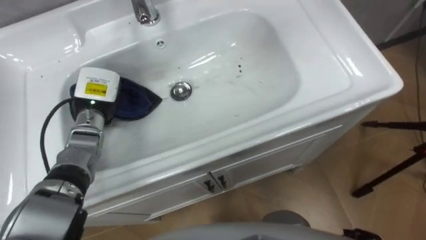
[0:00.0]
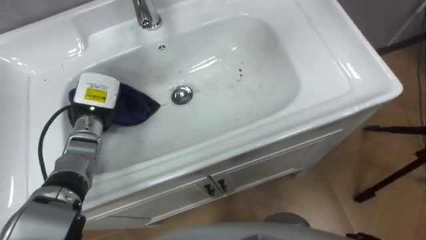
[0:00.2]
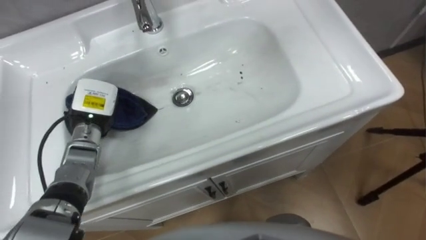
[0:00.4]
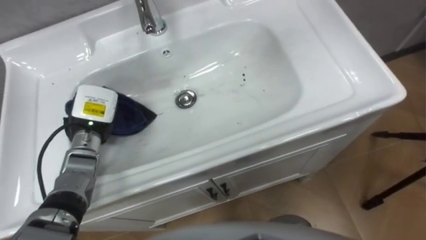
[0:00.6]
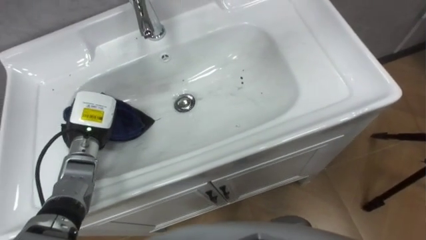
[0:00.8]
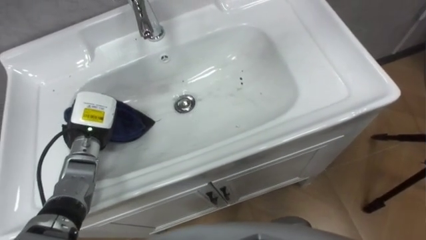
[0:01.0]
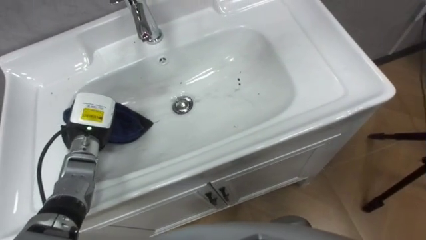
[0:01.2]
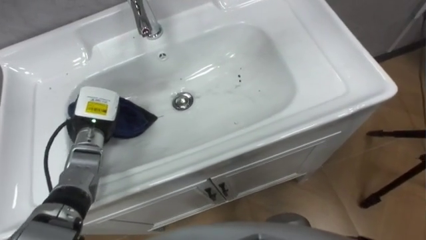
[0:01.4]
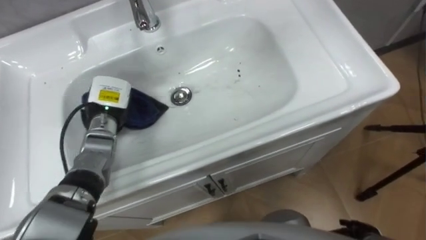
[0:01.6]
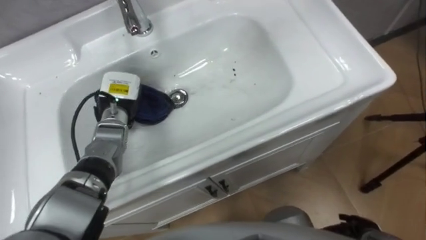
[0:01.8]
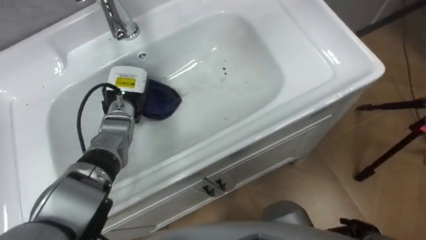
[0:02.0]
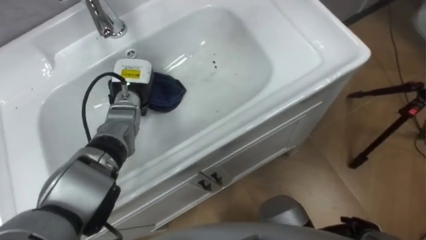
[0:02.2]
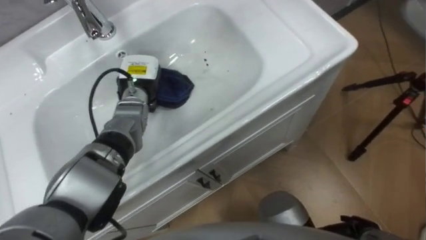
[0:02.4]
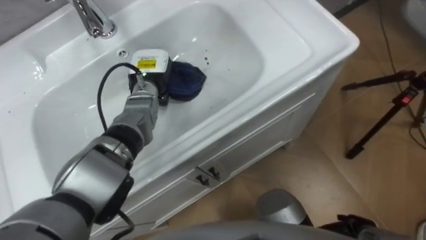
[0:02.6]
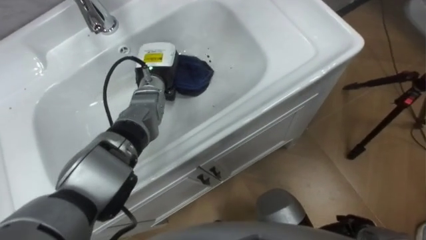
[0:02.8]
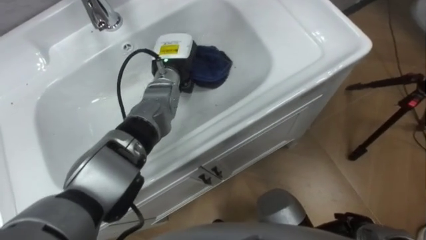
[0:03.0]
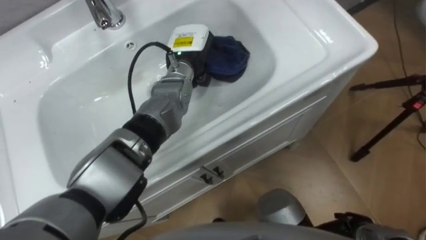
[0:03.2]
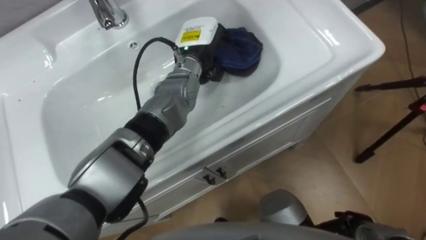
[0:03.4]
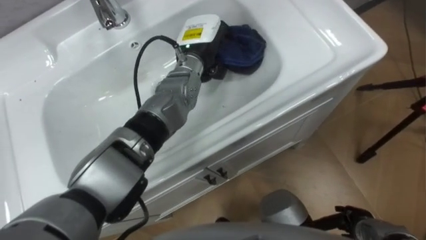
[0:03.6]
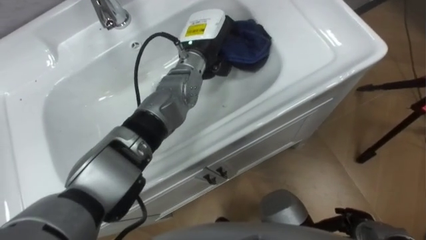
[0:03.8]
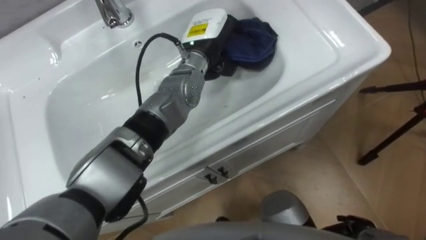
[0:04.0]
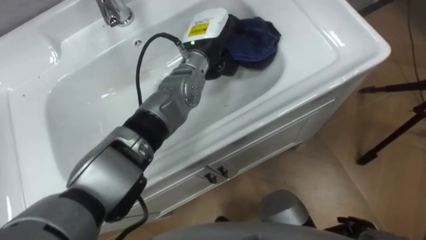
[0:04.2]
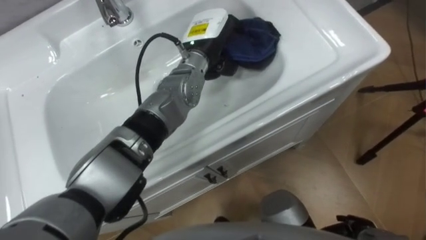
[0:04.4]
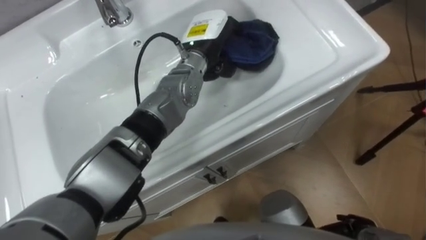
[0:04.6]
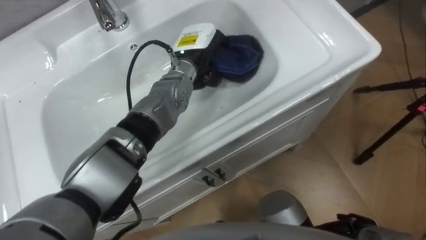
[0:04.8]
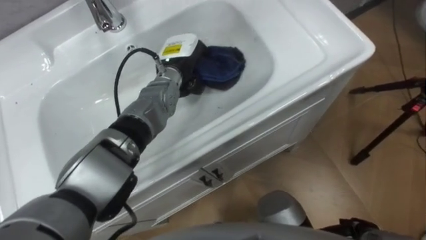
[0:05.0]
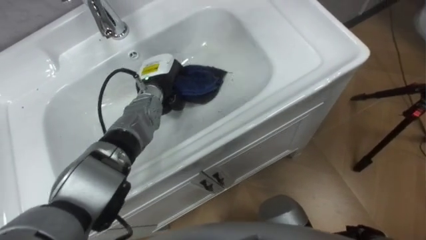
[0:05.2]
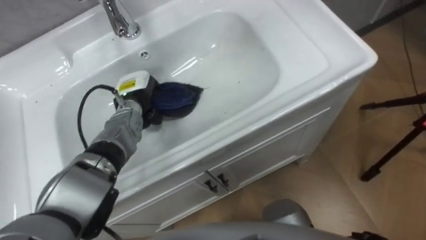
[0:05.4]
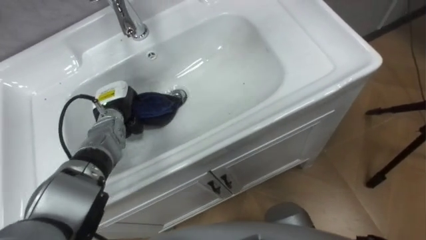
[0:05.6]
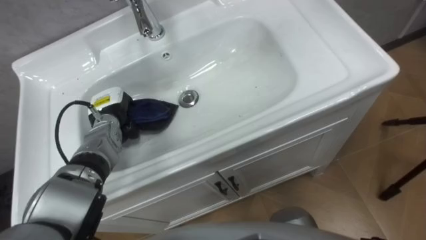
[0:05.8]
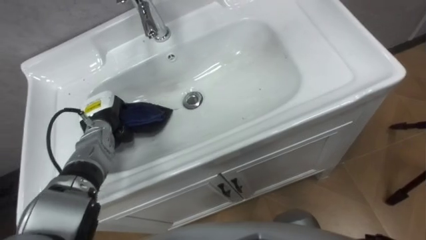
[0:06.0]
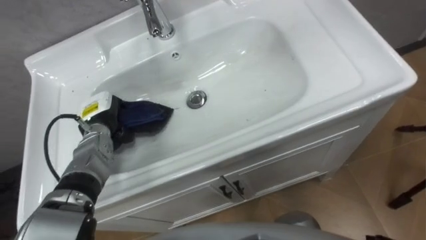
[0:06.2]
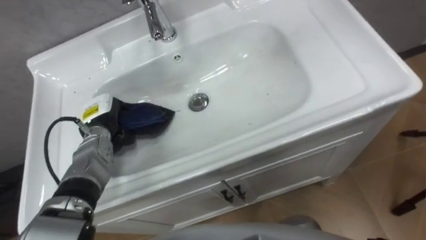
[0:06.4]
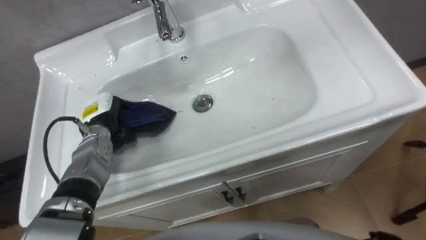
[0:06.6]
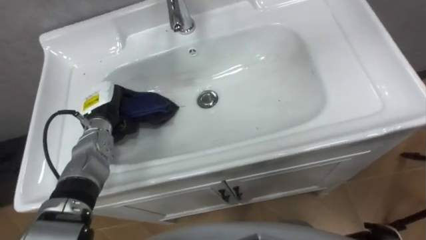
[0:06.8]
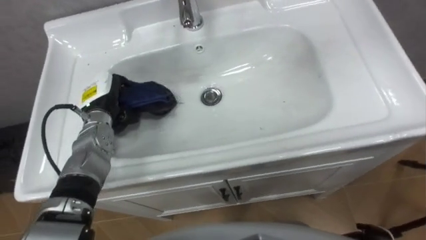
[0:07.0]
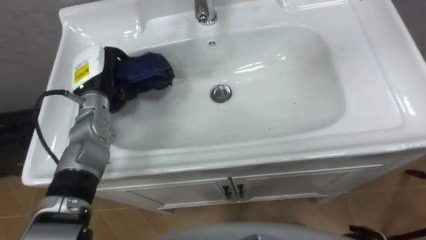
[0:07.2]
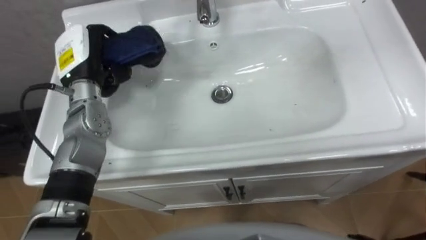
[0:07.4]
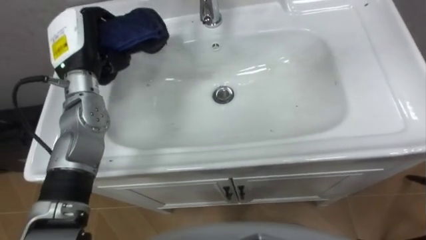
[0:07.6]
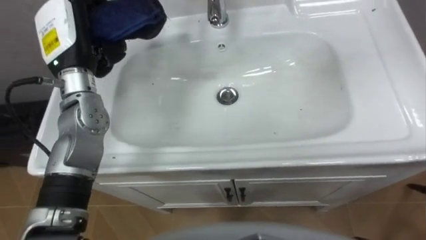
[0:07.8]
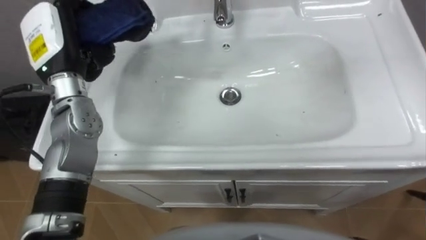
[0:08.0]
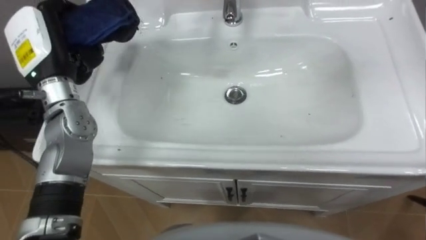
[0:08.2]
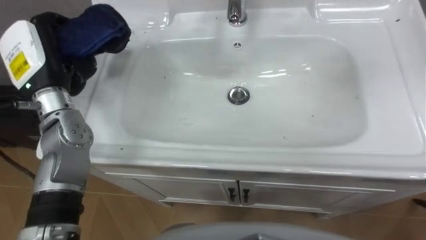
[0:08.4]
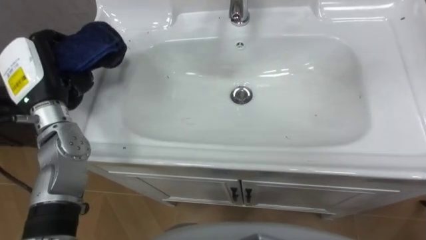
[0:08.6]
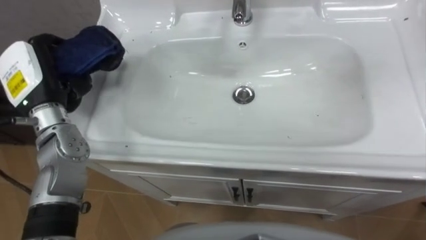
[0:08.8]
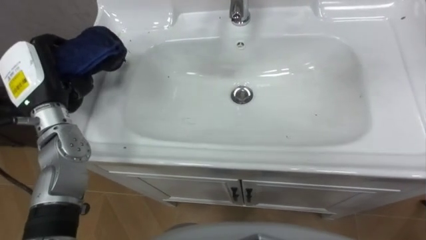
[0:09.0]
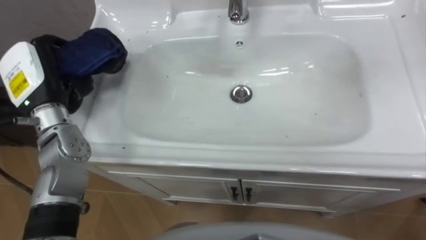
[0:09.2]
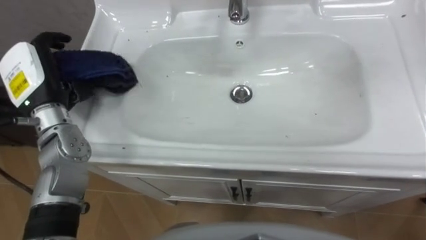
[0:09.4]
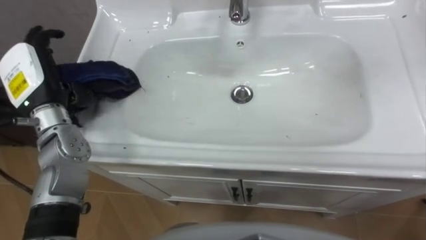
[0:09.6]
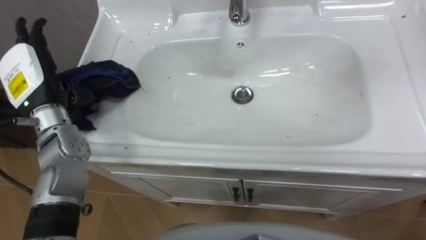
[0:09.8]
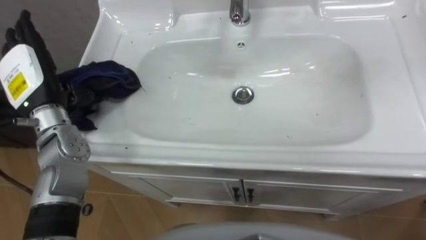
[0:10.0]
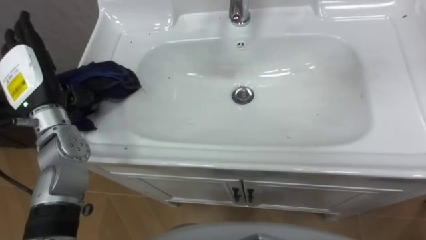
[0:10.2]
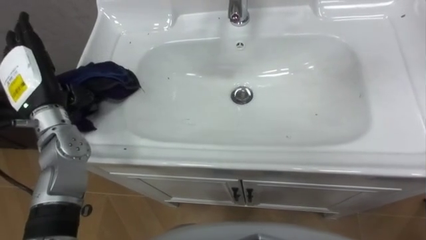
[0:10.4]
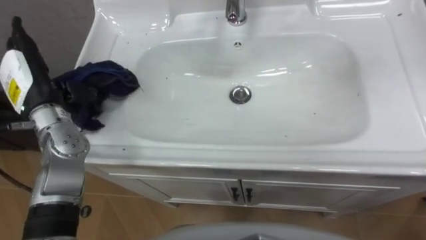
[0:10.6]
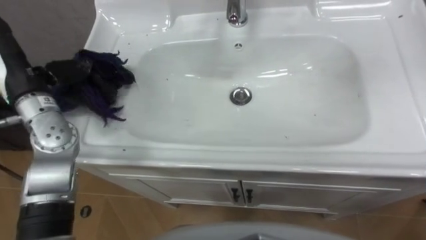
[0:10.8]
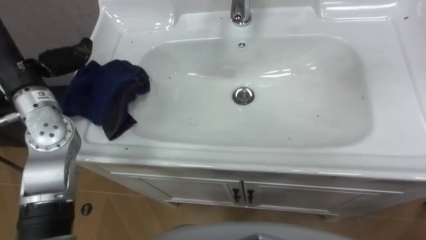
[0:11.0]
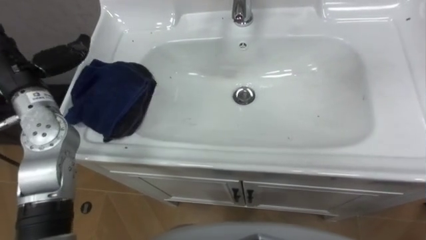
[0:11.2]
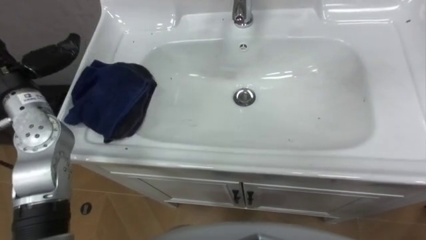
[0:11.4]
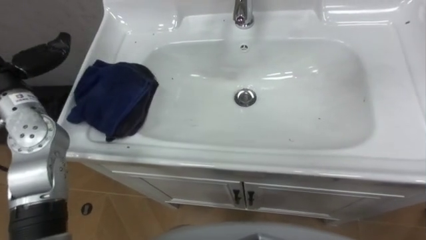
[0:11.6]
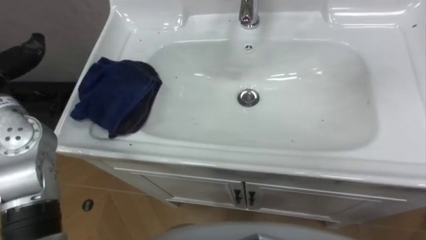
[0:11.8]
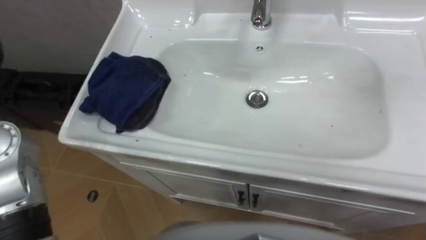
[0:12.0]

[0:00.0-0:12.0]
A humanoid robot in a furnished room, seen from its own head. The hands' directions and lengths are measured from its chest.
Task of the whole recording: Use the cloth on the right to wipe away the black stain in the sink.
0:01.6 to 0:03.0: The left hand is displaced to the right and forward by about 15 cm.
0:03.0 to 0:04.4: The left hand is displaced to the right and upward by roughly 10 cm.
0:04.4 to 0:06.0: The left hand travels to the left and downward by about 30 cm.
0:06.0 to 0:07.6: The left hand travels upward by some 20 cm.
0:07.6 to 0:09.0: The left hand shifts some 10 cm to the left and backward.
0:09.0 to 0:10.4: The left hand opens.

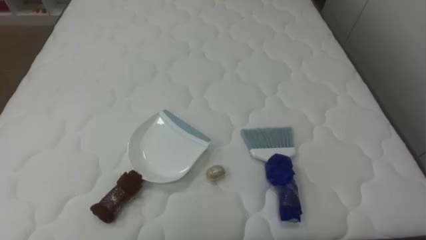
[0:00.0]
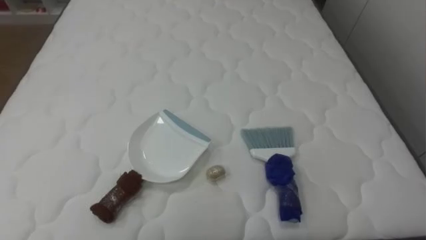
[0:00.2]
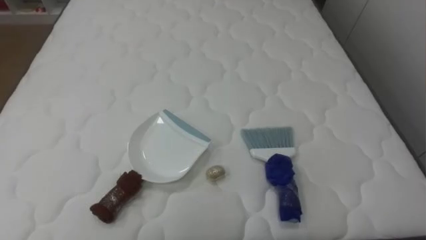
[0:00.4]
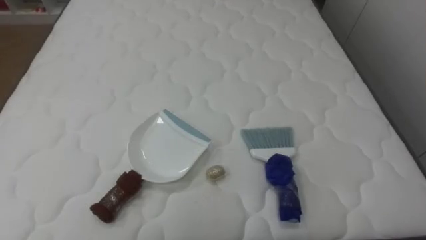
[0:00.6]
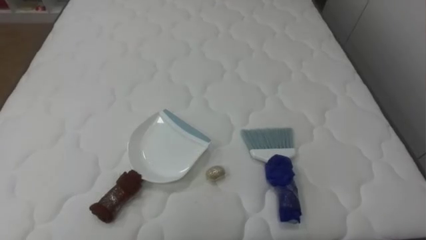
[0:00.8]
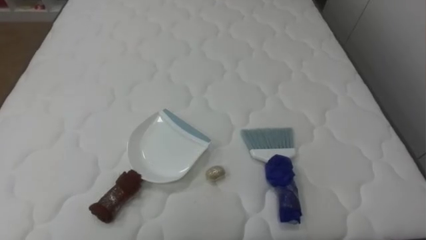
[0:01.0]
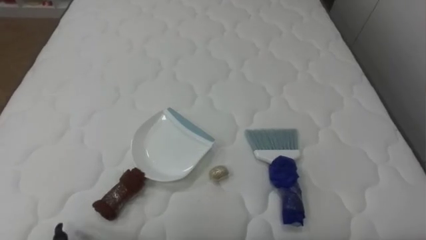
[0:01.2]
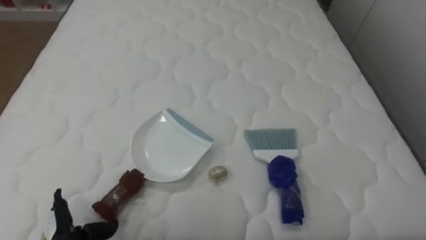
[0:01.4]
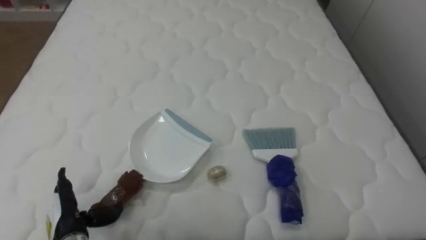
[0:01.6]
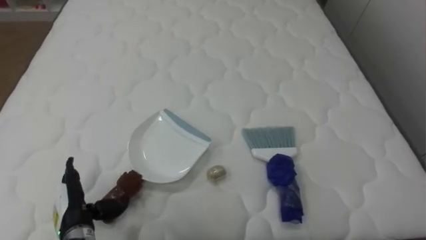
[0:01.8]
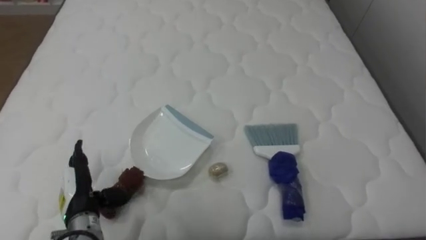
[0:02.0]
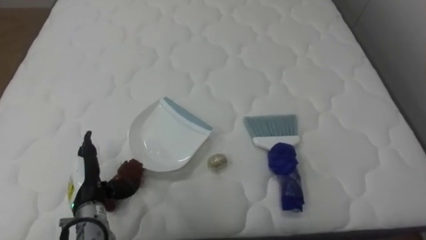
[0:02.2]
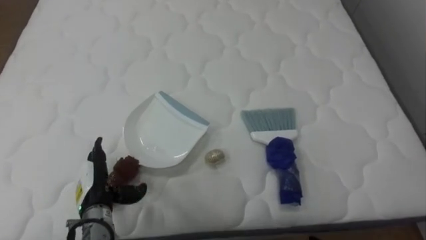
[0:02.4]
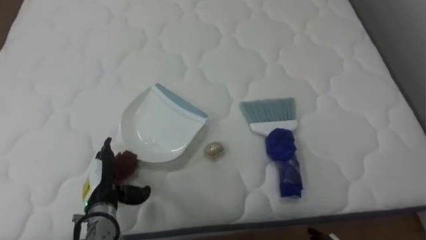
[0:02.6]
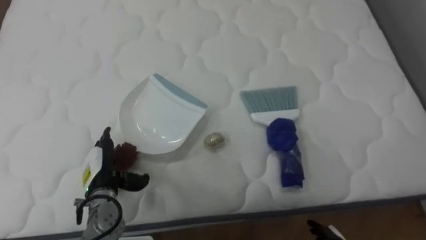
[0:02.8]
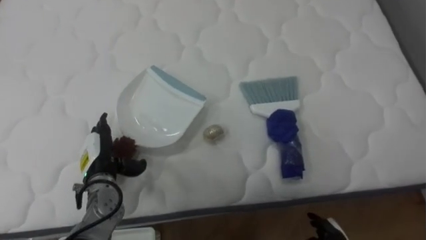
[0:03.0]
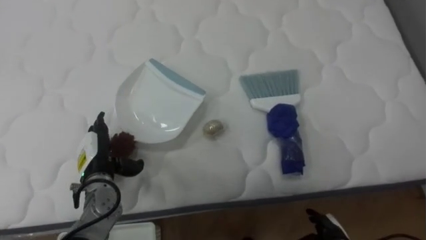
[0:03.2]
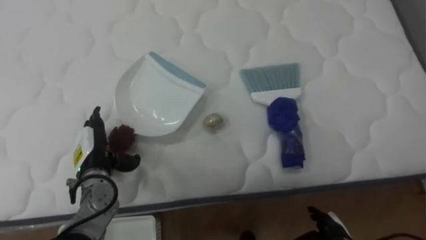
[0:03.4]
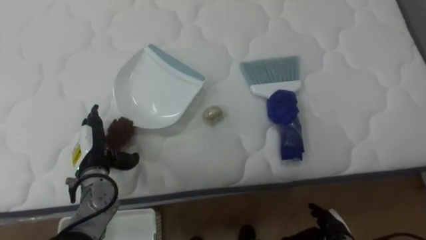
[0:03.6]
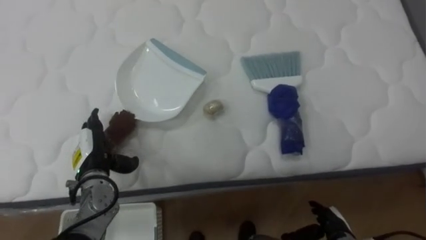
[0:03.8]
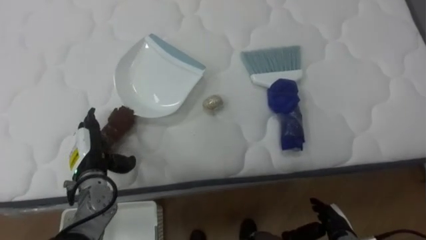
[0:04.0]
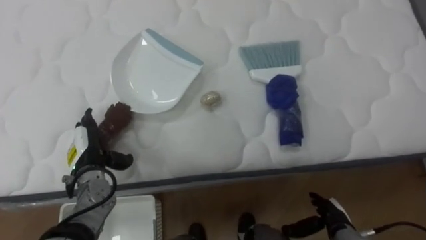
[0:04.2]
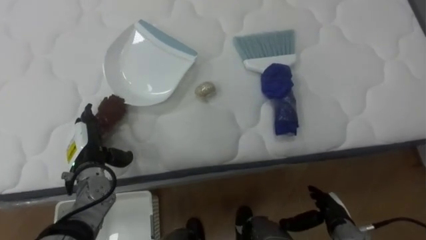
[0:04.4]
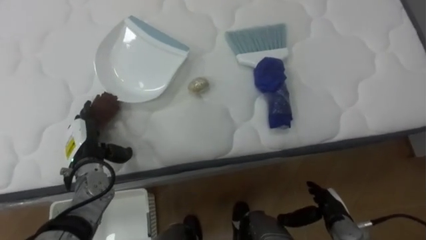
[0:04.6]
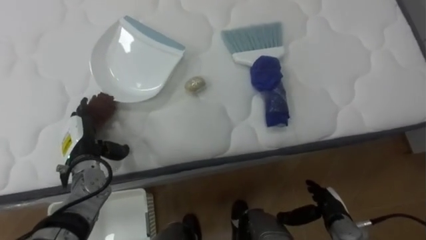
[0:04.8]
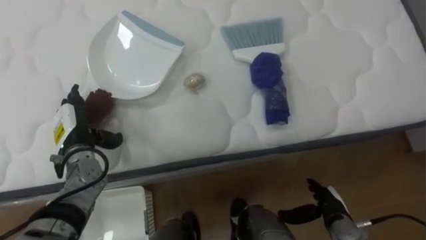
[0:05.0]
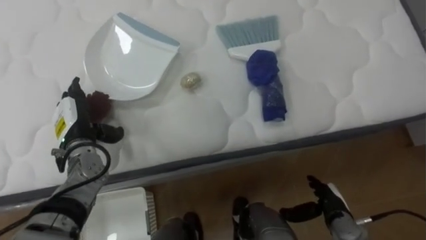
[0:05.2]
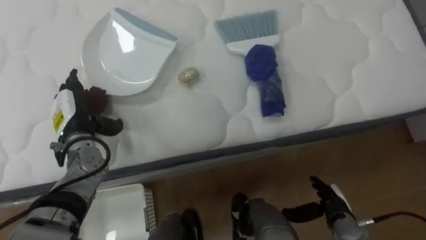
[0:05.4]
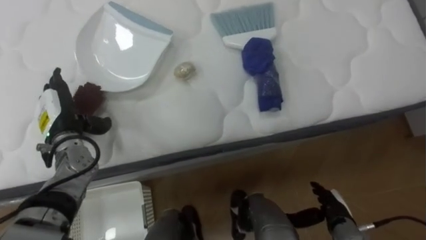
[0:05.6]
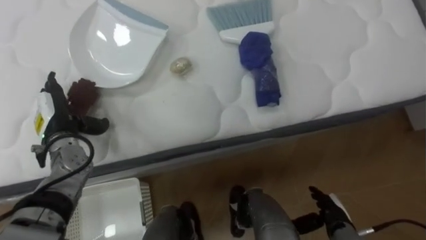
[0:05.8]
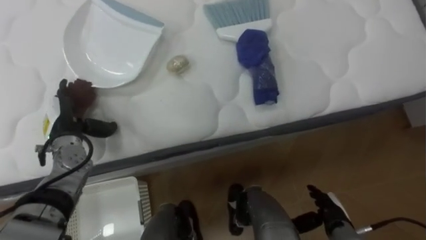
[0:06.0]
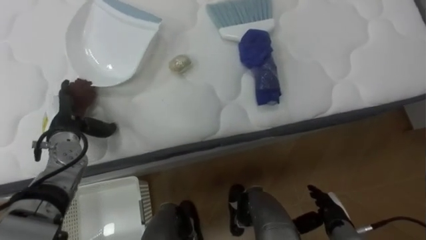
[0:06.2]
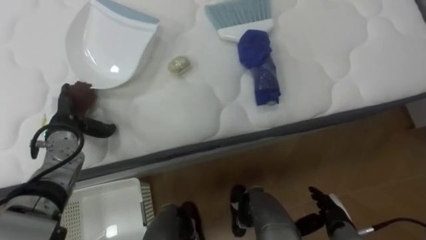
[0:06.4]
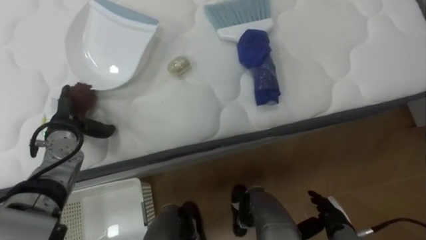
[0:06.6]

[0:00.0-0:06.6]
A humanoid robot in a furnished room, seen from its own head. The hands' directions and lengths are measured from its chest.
Task of the whole recording: Pick up the brush on your right and the dustpan on your left. Use the brush to sweep the crumpled paper on the bed into the dustpan, then turn left and empty it into the basket.
0:01.6 to 0:03.2: The left hand is displaced forward by roughly 10 cm.
0:03.2 to 0:05.0: The left hand changes place by approximately 5 cm.
